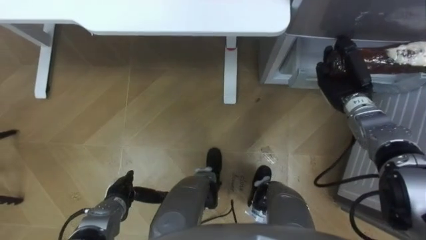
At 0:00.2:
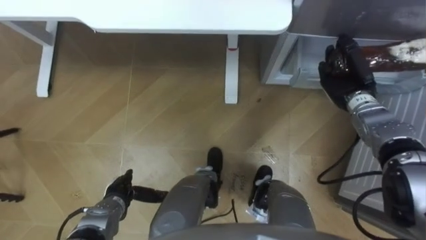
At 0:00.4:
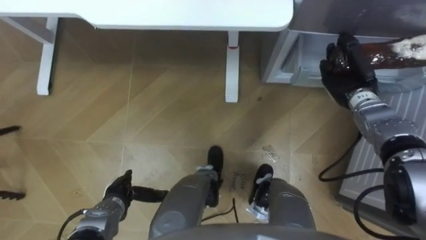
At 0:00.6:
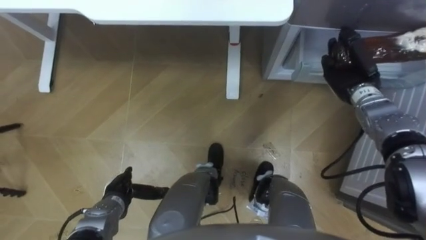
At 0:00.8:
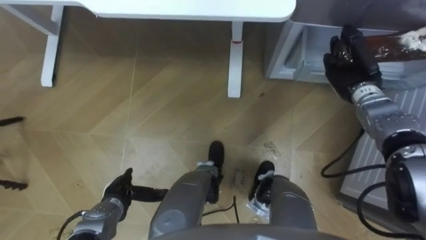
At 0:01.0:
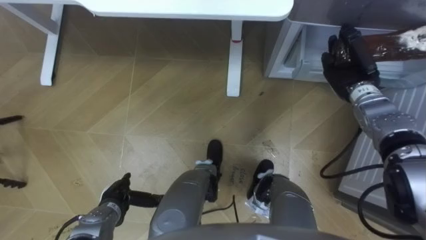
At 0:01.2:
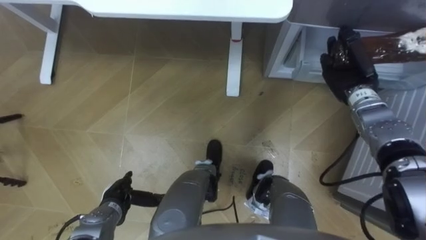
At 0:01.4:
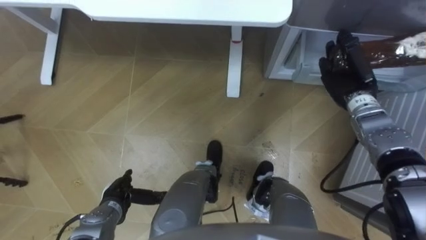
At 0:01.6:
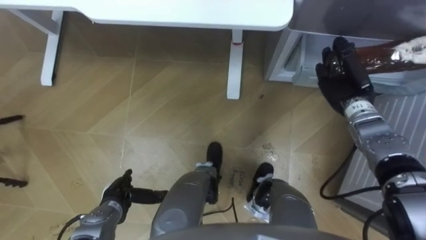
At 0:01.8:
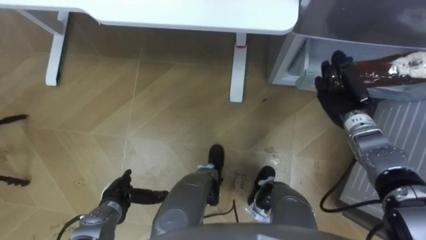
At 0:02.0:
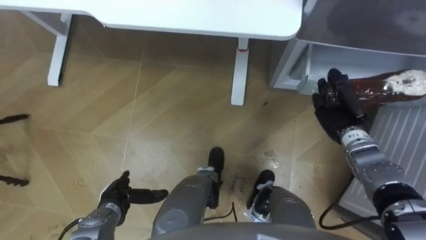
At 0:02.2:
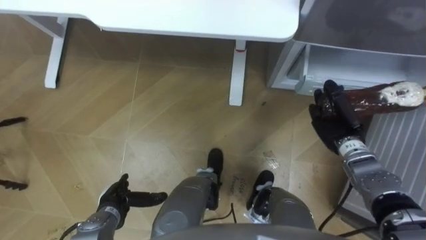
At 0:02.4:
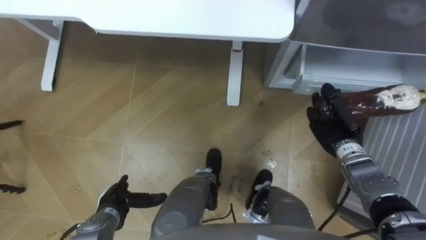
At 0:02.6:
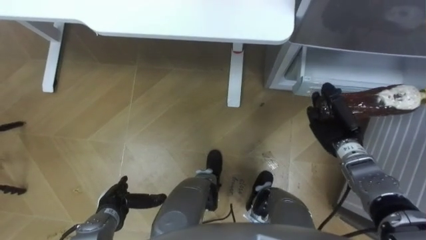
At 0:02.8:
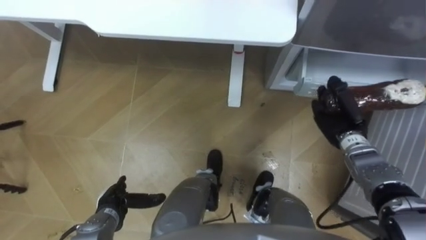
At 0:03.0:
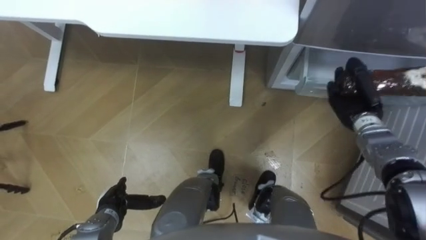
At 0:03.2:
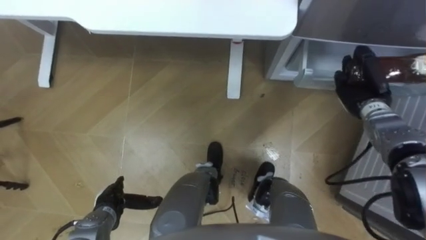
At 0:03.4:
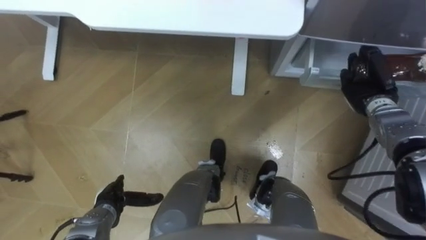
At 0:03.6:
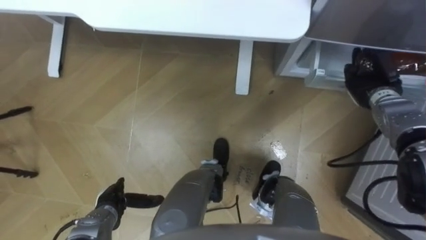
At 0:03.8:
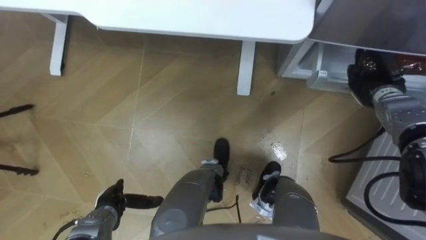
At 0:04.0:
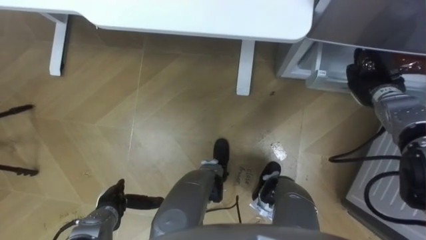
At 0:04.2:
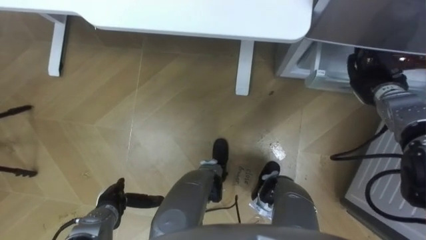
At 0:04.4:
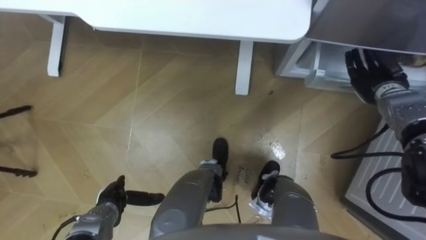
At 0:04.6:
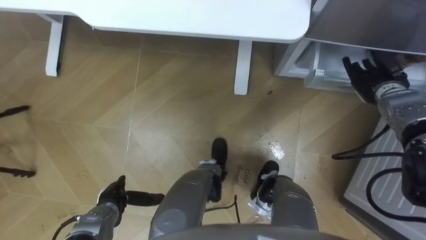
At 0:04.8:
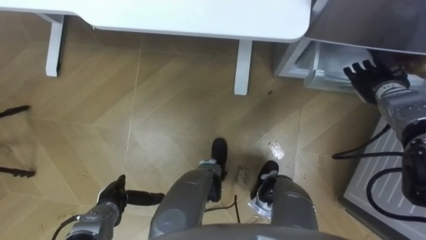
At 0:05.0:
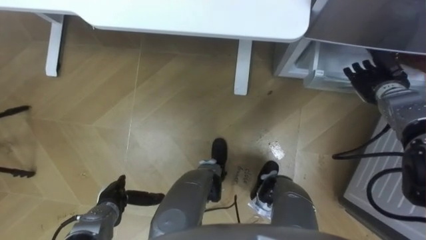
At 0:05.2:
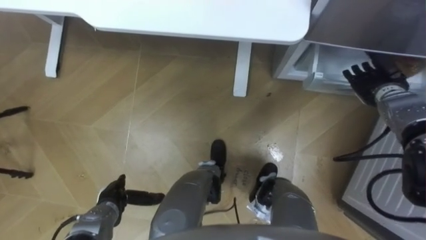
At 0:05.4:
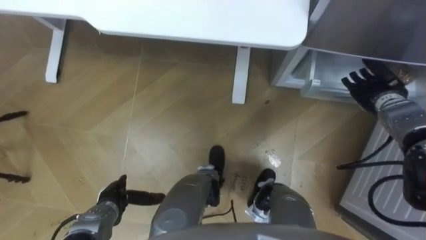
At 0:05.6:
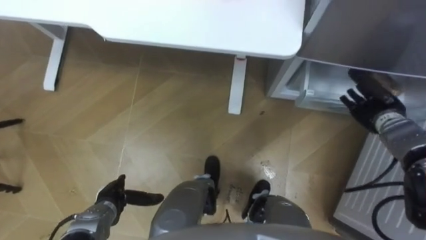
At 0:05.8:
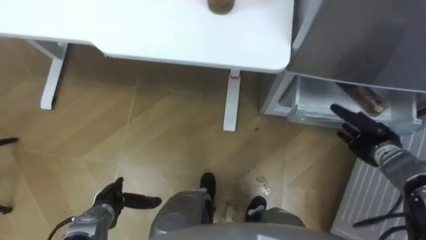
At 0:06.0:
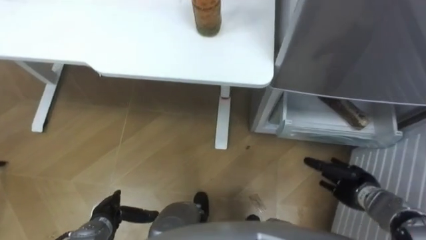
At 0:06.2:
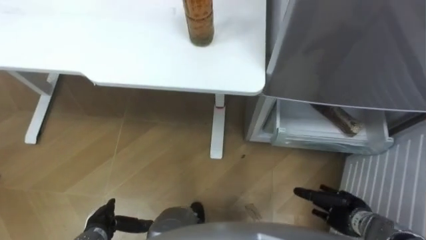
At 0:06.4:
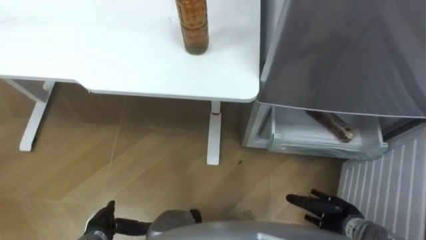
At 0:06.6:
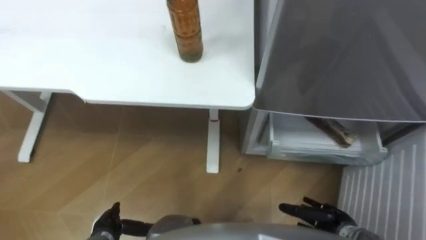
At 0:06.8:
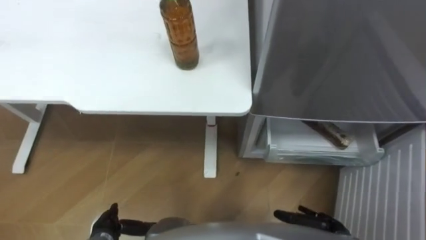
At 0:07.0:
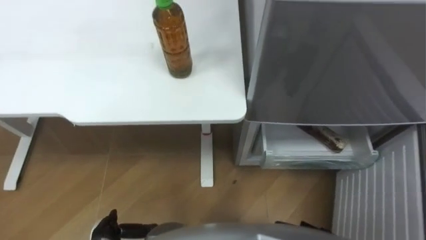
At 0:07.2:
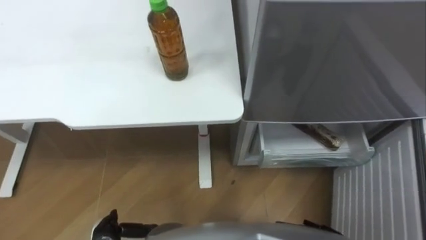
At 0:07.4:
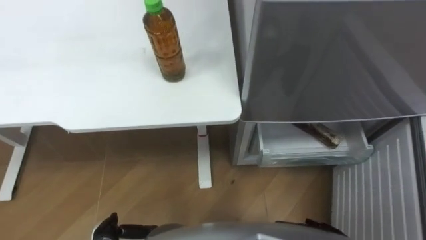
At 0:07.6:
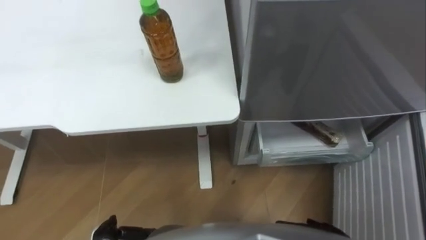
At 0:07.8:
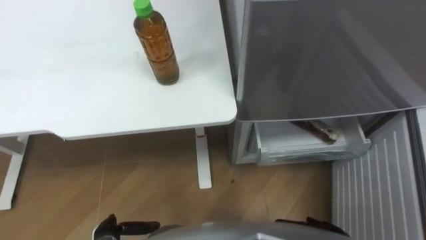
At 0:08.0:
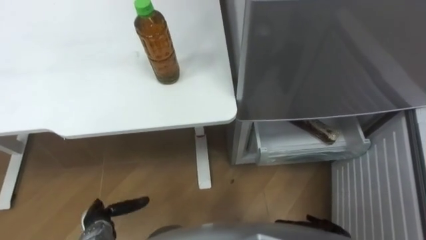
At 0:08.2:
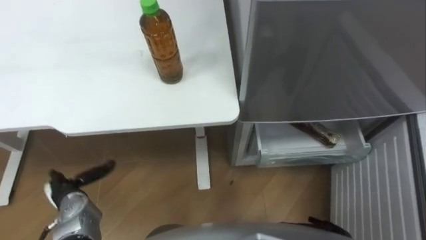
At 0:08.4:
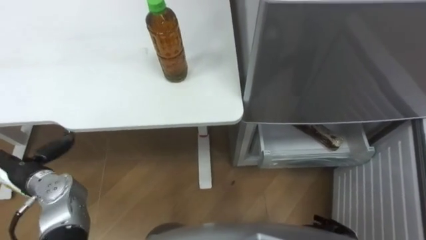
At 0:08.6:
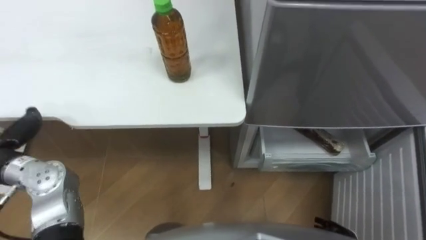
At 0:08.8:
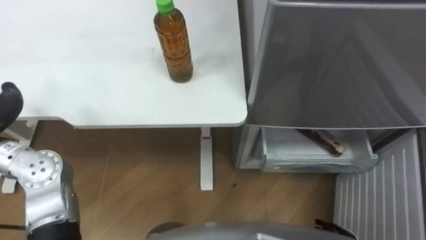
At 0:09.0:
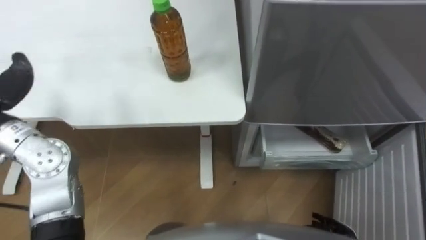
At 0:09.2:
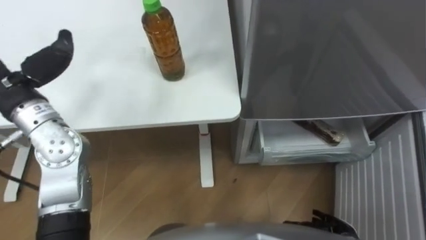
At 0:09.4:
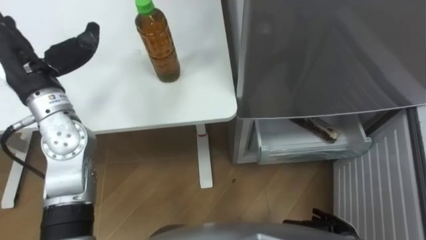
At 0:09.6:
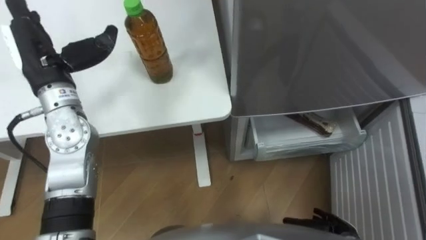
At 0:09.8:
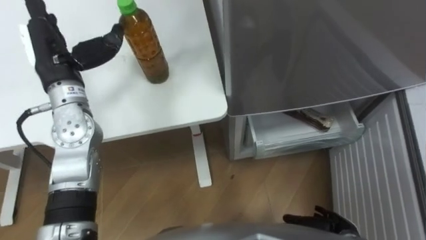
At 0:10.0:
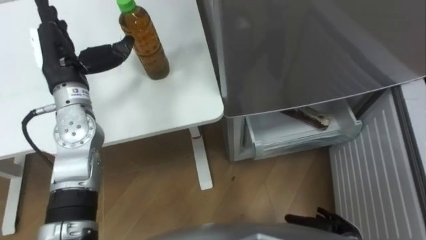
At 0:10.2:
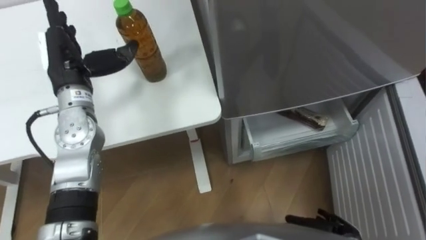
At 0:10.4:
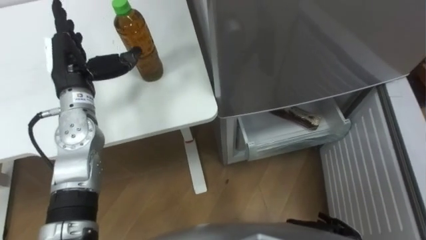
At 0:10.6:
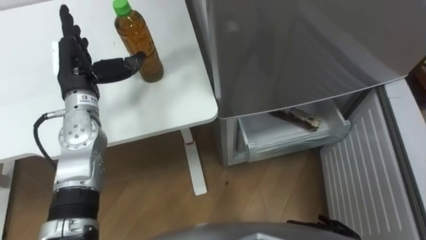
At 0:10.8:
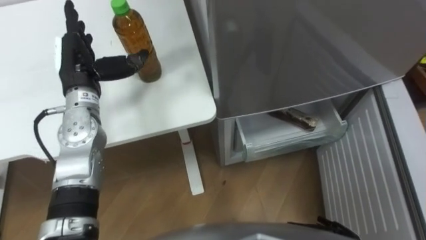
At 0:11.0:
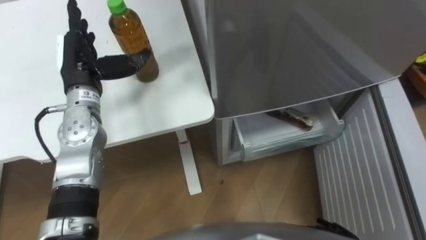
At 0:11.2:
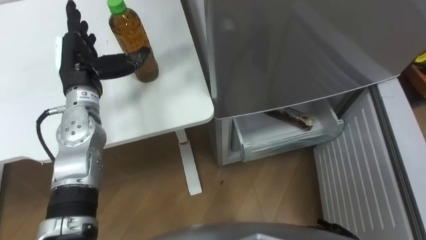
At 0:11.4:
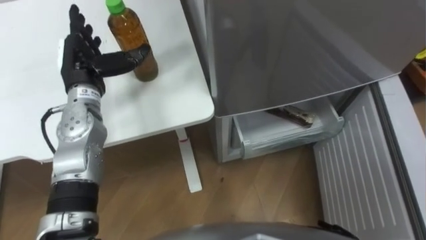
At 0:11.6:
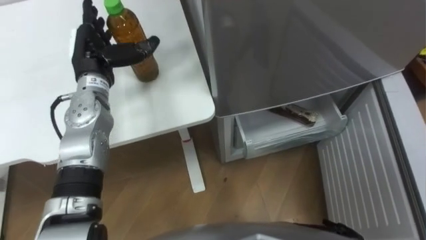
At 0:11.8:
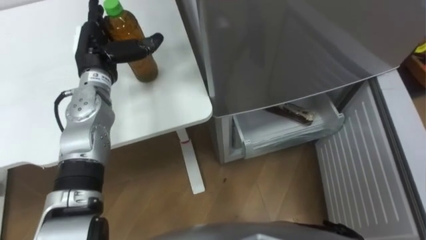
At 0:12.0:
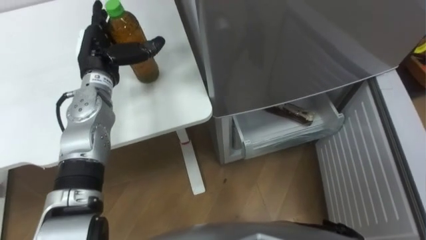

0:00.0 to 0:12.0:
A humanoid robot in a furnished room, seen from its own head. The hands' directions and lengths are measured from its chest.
Task of the whole recording: Place the drink on the table on the bottom shelf of the refrigerator, then close the drawer and the refrigerator door.
0:03.0 to 0:04.4: The right hand shifts by about 5 cm, and opens up.
0:04.4 to 0:06.0: The right hand moves backward and downward, approximately 20 cm.
0:10.4 to 0:12.0: The left hand changes place by roughly 5 cm.

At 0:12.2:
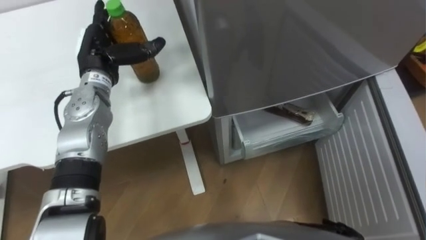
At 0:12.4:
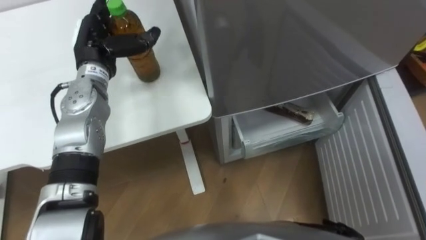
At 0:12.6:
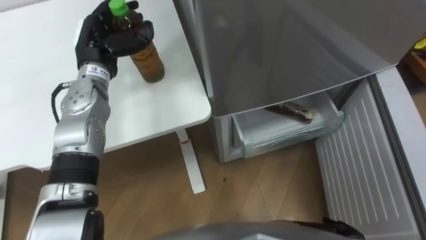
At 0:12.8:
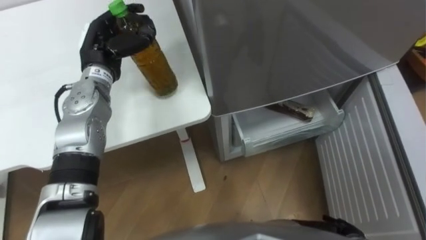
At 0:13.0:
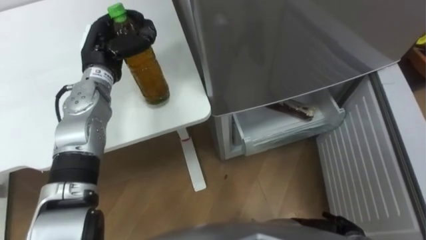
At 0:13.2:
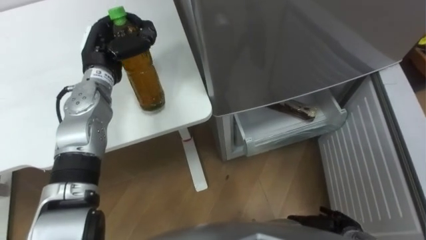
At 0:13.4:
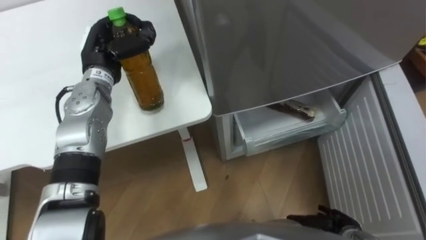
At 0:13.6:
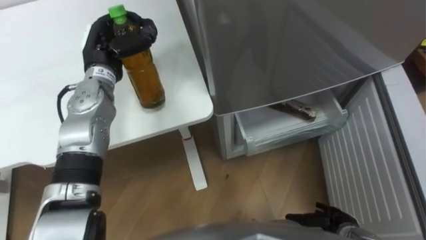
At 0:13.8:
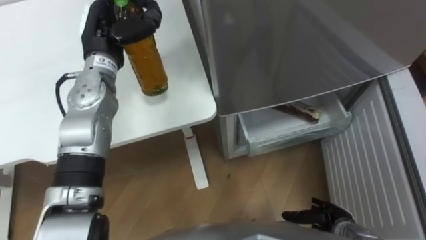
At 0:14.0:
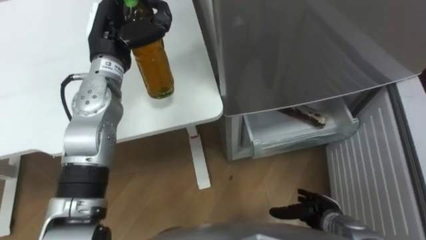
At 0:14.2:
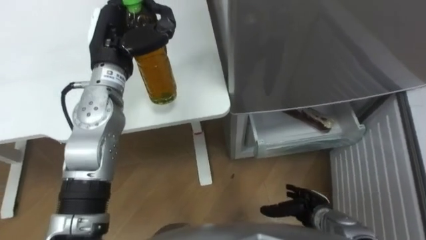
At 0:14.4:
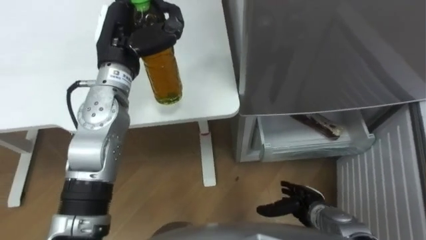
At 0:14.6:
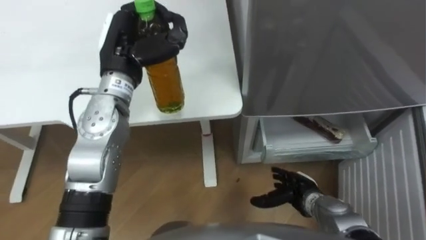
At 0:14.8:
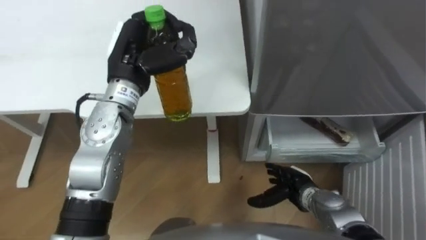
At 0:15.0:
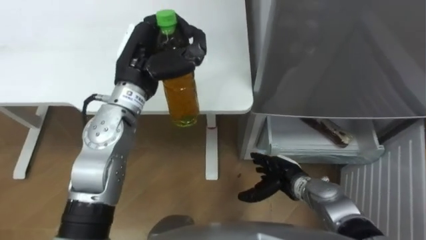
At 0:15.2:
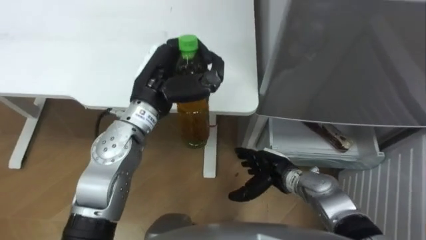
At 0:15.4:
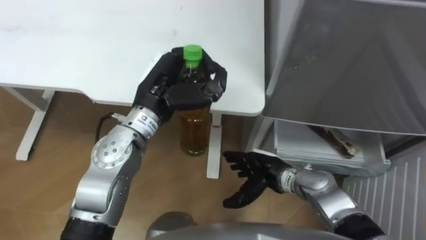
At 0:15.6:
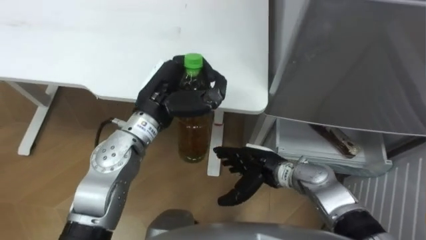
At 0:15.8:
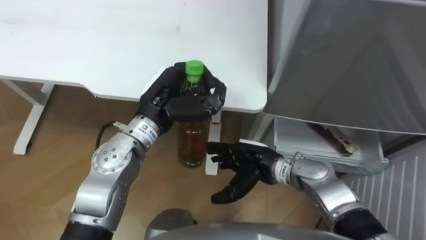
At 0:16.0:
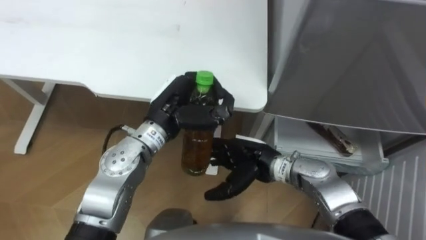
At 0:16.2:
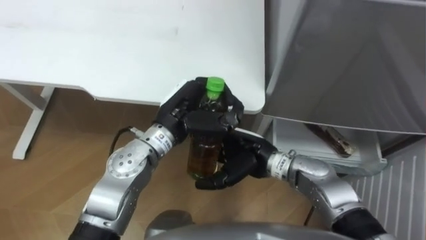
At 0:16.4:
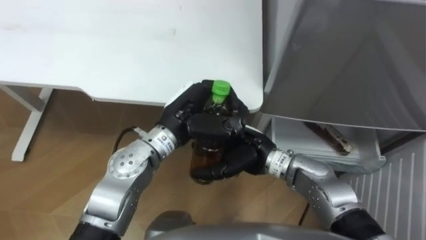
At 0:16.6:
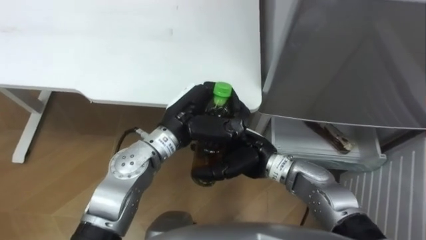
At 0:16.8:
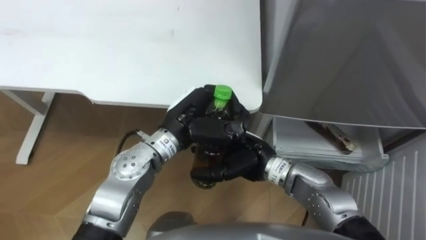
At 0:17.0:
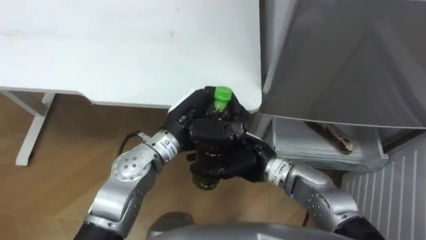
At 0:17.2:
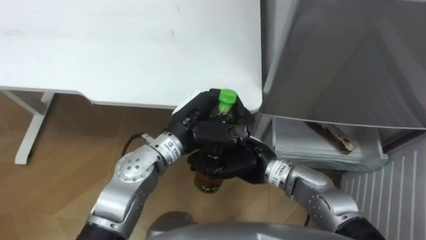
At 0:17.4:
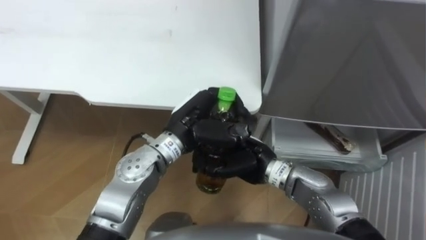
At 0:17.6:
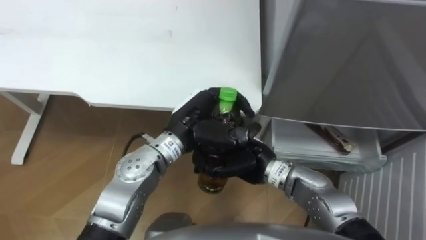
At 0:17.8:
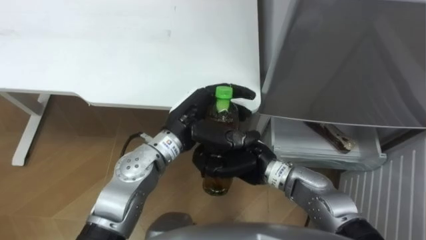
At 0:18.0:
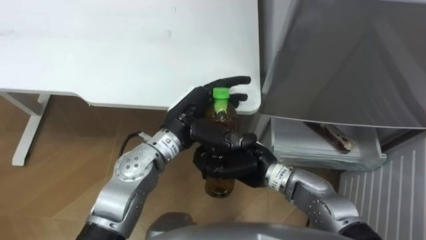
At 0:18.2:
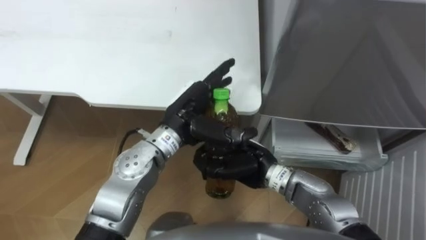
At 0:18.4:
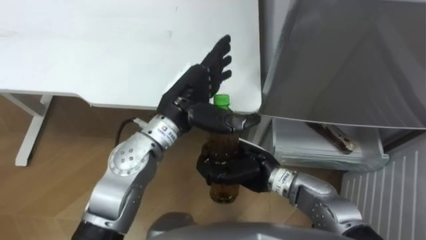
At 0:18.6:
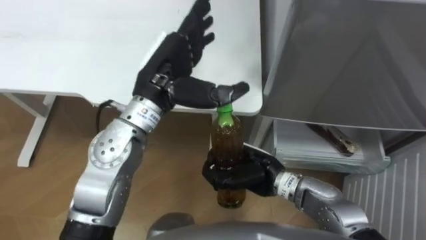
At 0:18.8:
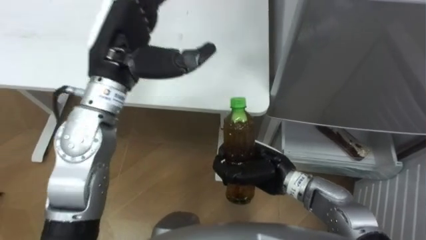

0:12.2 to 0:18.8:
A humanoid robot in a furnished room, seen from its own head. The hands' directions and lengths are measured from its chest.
Task of the whole recording: Place the drink on the table on the bottom shelf of the refrigerator, then close the drawer and the refrigerator door.
0:12.2 to 0:13.8: The left hand closes its fingers.
0:13.8 to 0:15.4: The left hand is displaced to the right and backward by about 15 cm, while the right hand travels to the left, forward and upward by some 20 cm.
0:15.4 to 0:17.2: The left hand travels to the right and downward by approximately 5 cm. Meanwhile the right hand goes approximately 10 cm upward and to the left, and closes.
0:17.2 to 0:18.8: The left hand goes roughly 15 cm upward and to the left, and opens its fingers.
